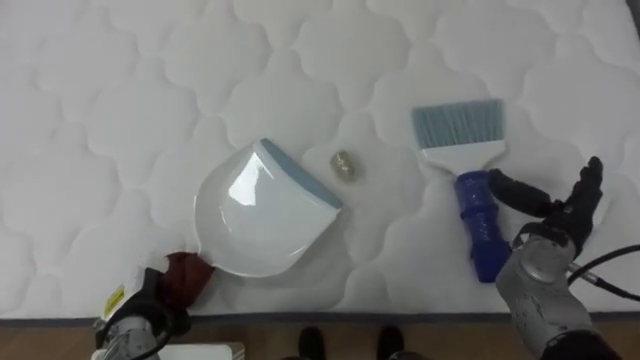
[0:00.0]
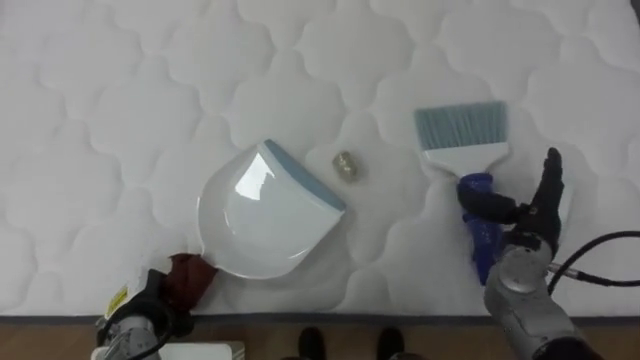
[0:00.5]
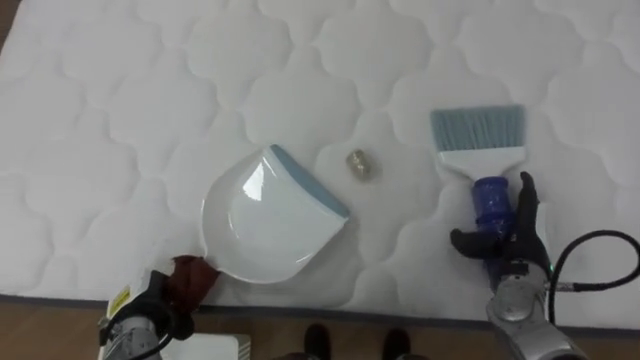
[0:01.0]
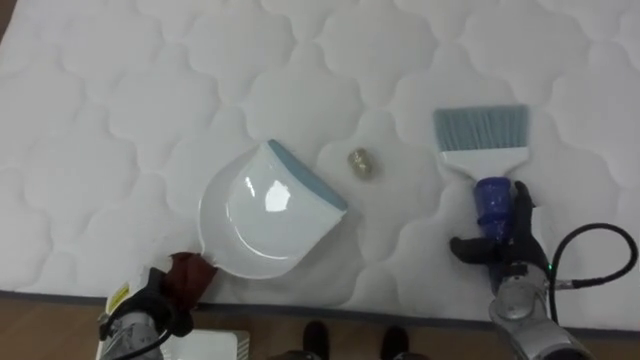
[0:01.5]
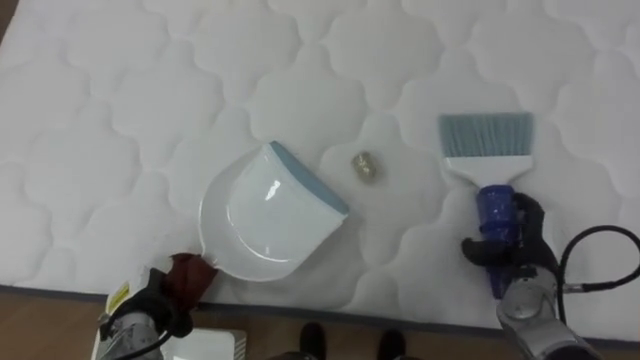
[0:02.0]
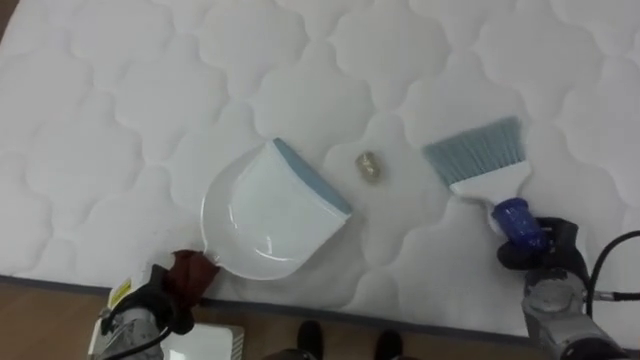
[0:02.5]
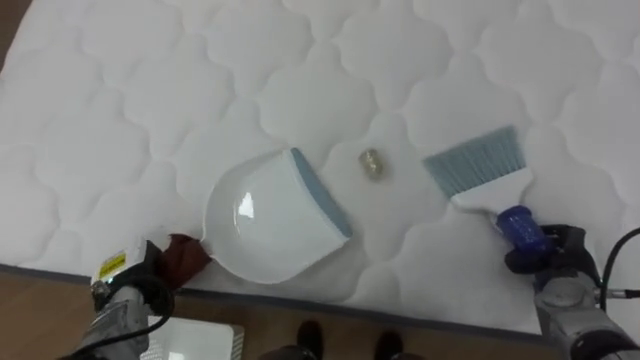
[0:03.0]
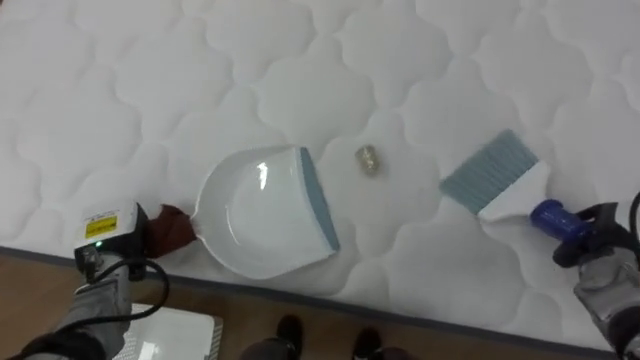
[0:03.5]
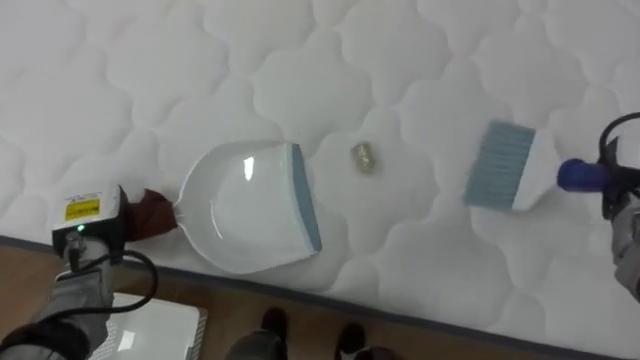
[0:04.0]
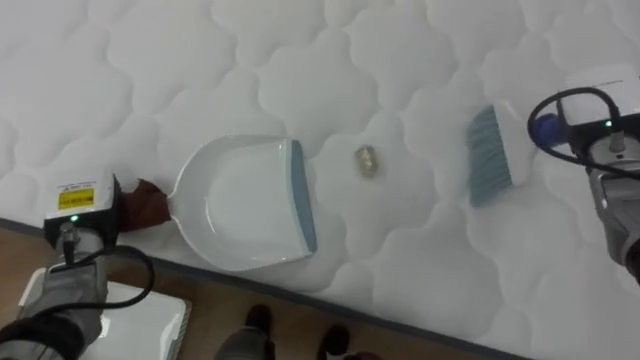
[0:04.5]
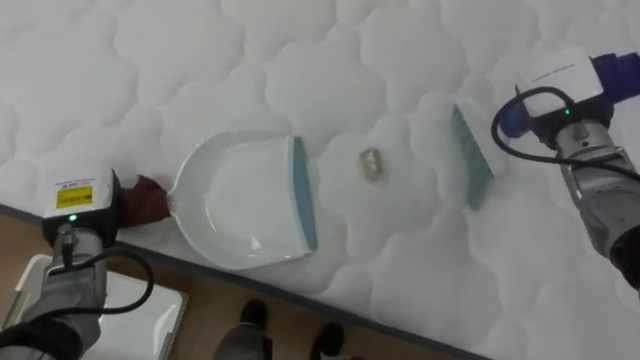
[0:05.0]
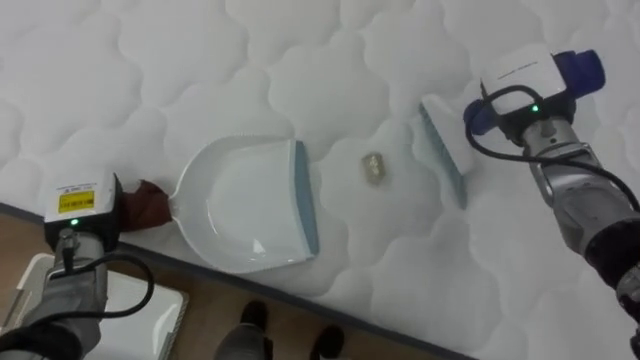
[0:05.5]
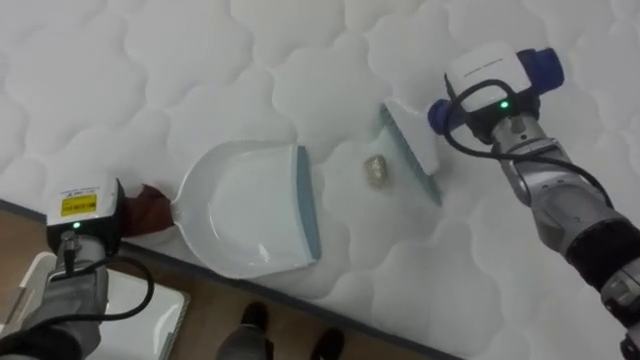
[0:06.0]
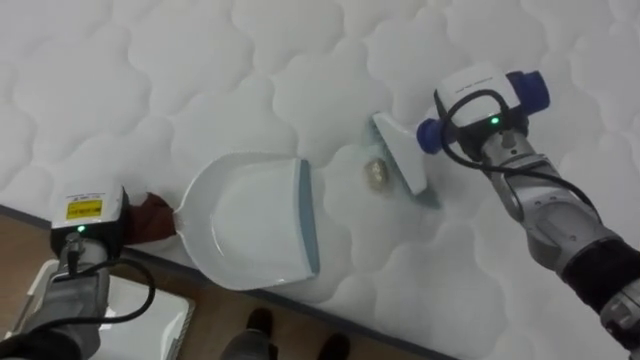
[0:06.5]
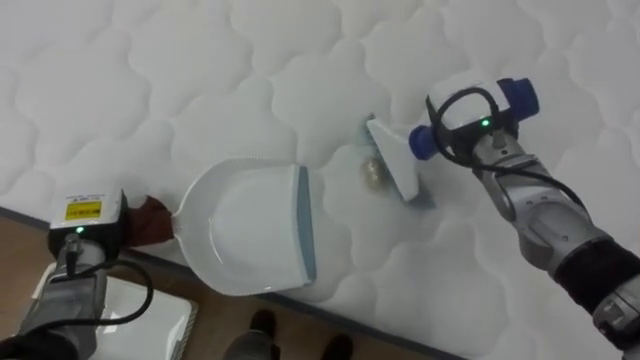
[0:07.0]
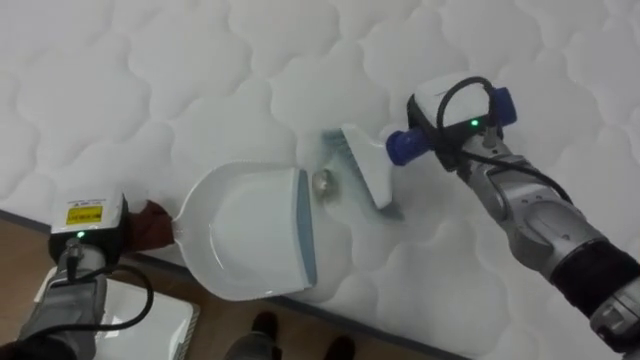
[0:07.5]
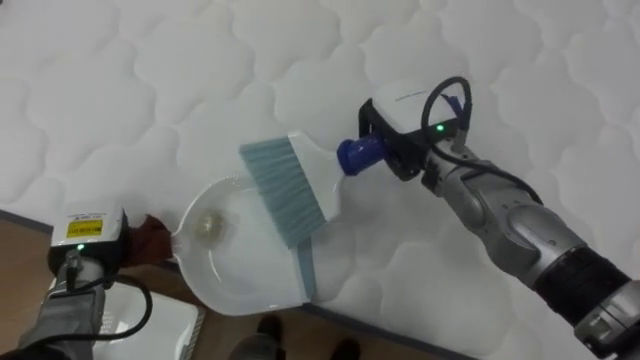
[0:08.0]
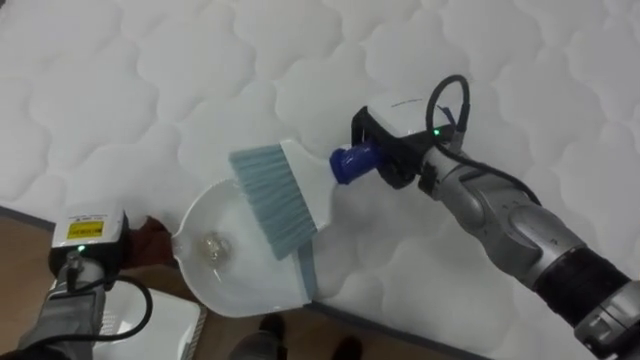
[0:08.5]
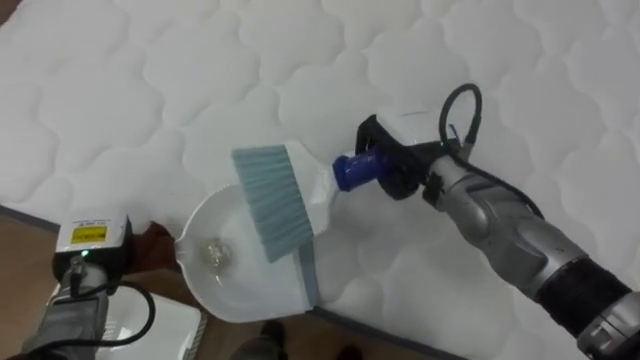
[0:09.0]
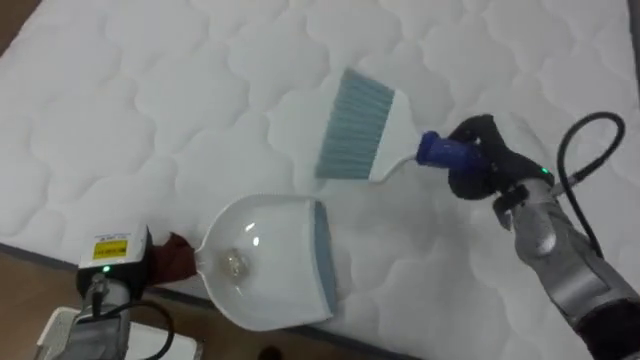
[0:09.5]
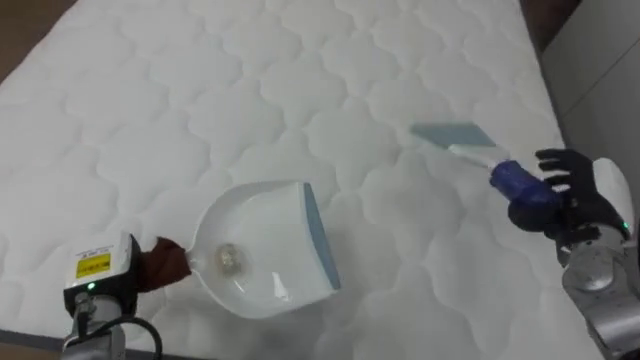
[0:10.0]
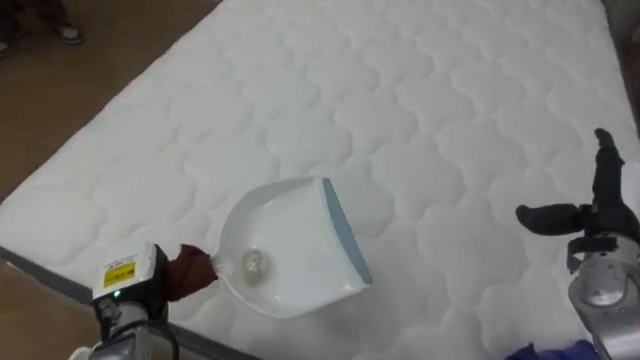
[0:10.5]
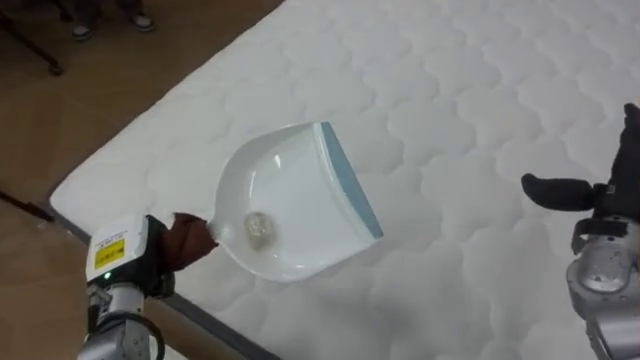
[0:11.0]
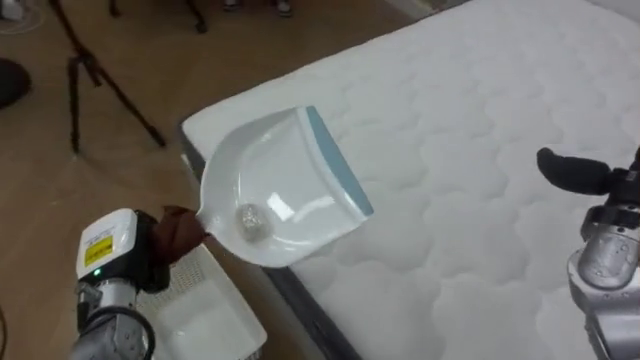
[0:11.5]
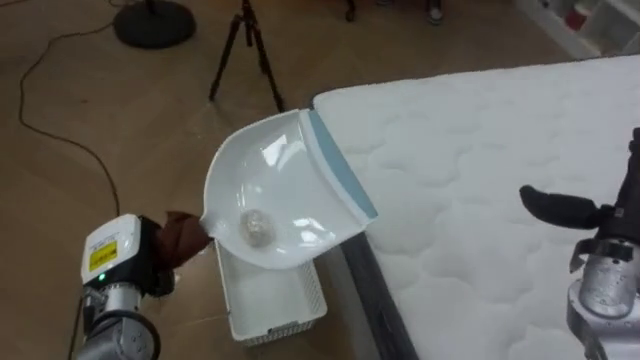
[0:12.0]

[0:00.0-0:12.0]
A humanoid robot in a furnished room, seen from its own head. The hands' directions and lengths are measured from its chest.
Task of the whole recording: Pick up the brush on your right and the dustpan on your left. Use the brush to sweep the crumpled paper on the bed into the dustpan, then turn left and empty it into the basket.
0:00.0 to 0:02.0: The right hand heads downward, covering some 5 cm.
0:02.0 to 0:04.0: The right hand heads upward, to the right and forward, covering approximately 15 cm, and closes. Meanwhile the left hand moves upward and forward, about 15 cm.
0:04.0 to 0:06.0: The right hand moves to the left, about 20 cm.
0:06.0 to 0:08.0: The right hand is displaced to the left by approximately 10 cm.
0:08.0 to 0:10.0: The left hand shifts by about 5 cm; the right hand shifts approximately 25 cm to the right, and opens.
0:10.0 to 0:12.0: The robot turns to its left by roughly 70 degrees. The right hand changes place by roughly 5 cm.

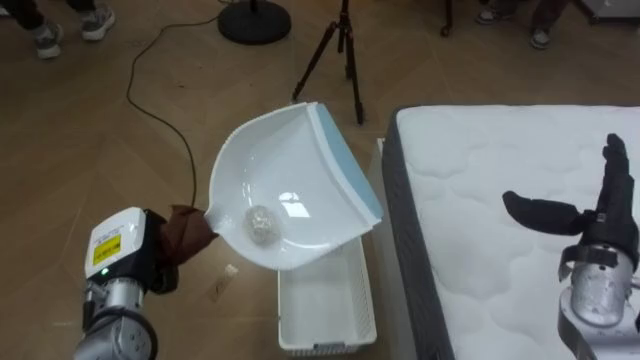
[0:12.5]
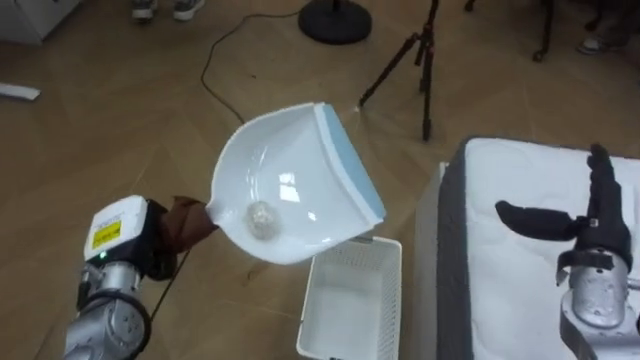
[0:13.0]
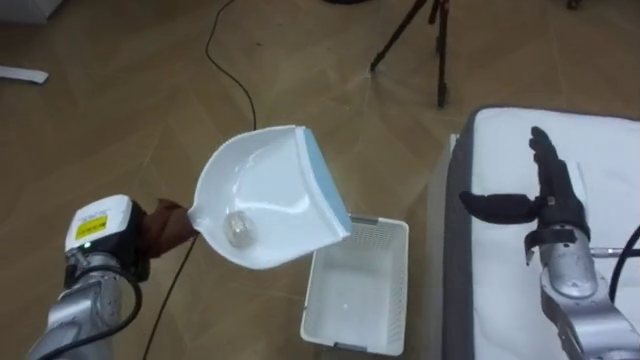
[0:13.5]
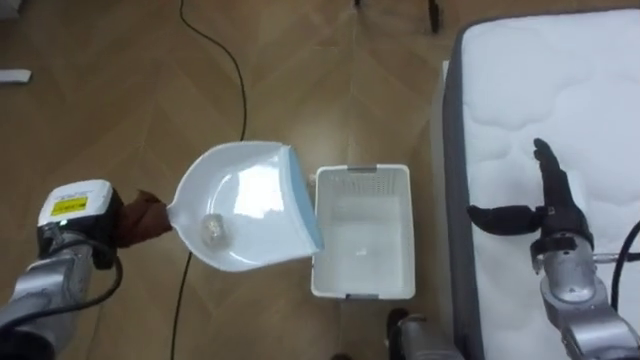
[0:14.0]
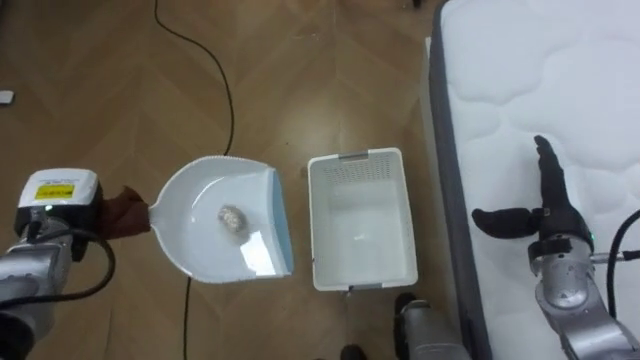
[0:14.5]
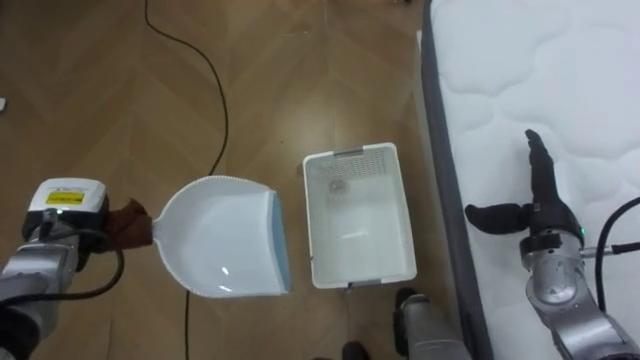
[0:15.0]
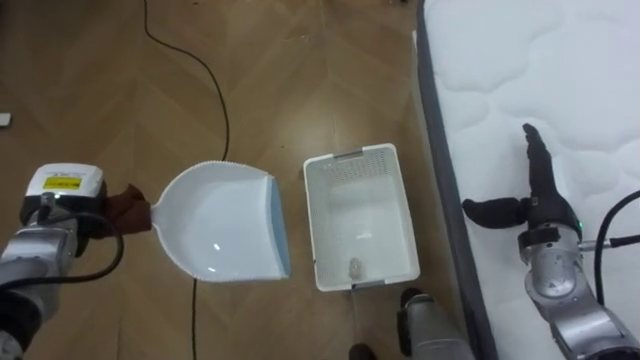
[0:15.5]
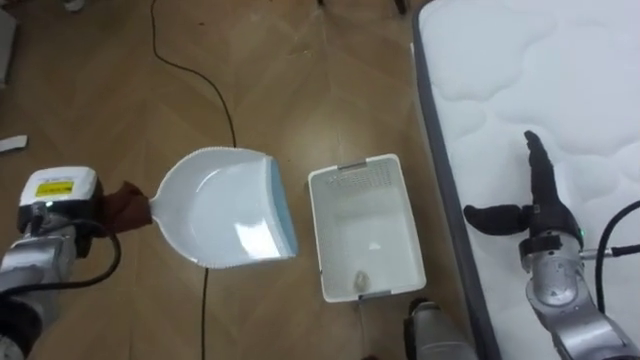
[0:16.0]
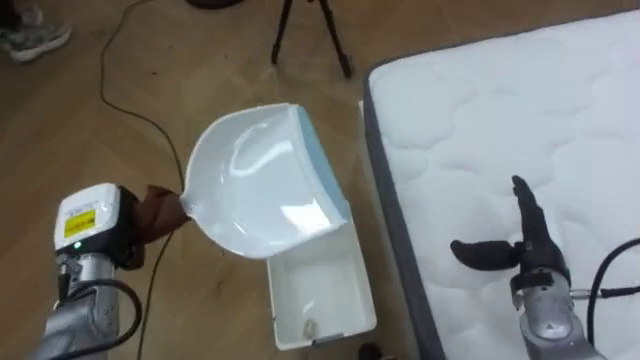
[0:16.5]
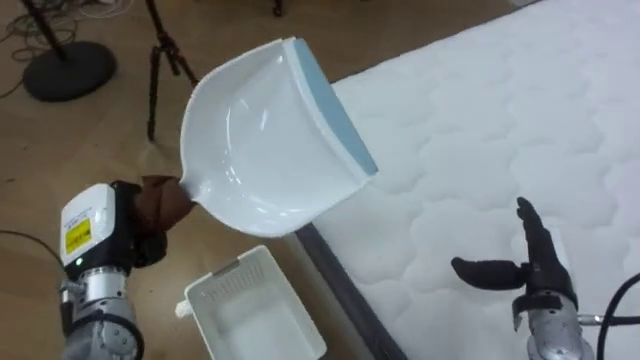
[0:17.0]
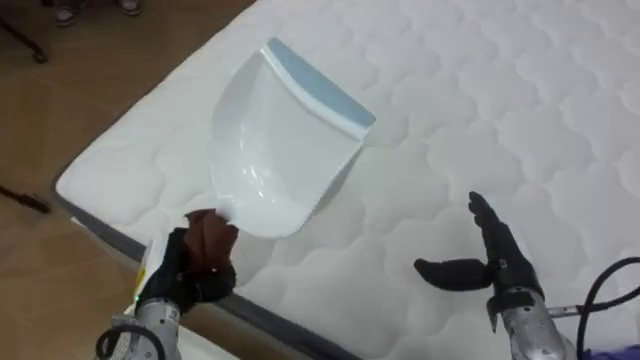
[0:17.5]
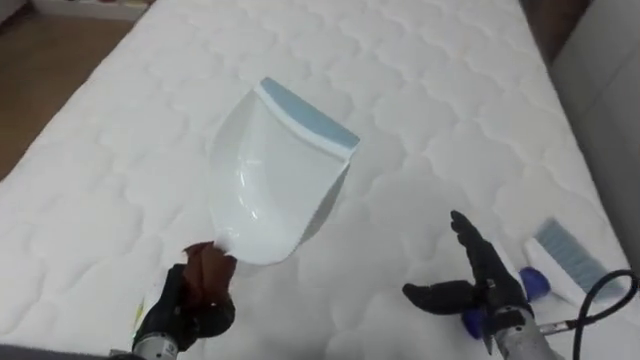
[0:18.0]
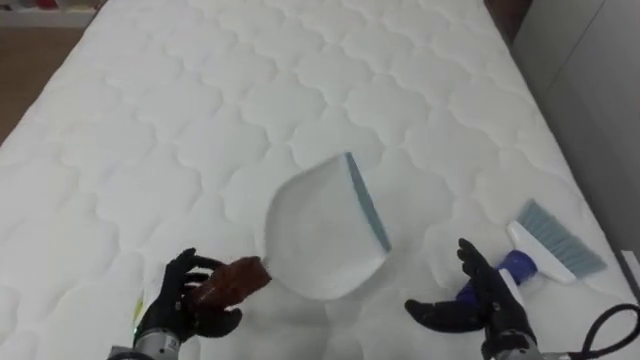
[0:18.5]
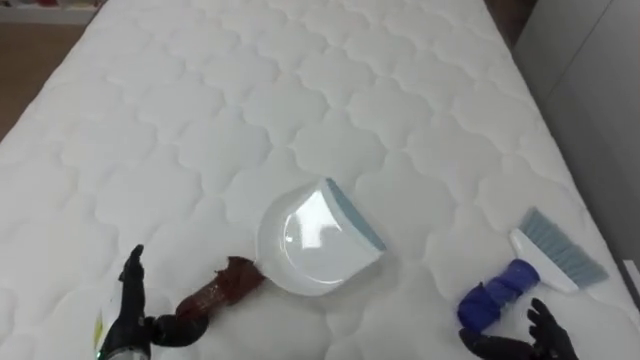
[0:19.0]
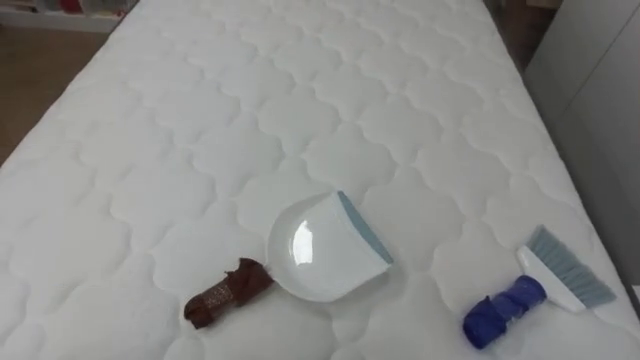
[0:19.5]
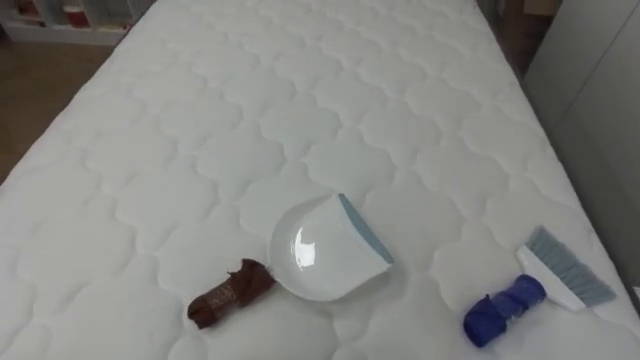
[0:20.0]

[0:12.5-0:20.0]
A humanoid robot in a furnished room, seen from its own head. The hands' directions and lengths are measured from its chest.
Task of the whole recording: Pick up the brush on your right and the dustpan on your left. Use the brush to sweep the crumpled paper on the bed into the dustpan, then turn left and empty it into the basket.
0:12.5 to 0:14.5: The right hand changes place by about 5 cm. The left hand travels to the left and forward by approximately 10 cm.
0:14.5 to 0:16.5: The robot's body swings approximately 15 degrees to its right. The left hand changes place by some 5 cm, while the right hand changes place by approximately 5 cm.
0:16.5 to 0:18.0: The robot rotates about 75 degrees to its right. The left hand shifts about 15 cm to the right, backward and downward. The right hand goes some 5 cm to the left.
